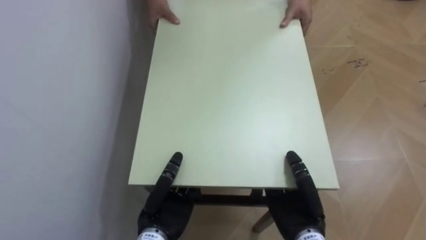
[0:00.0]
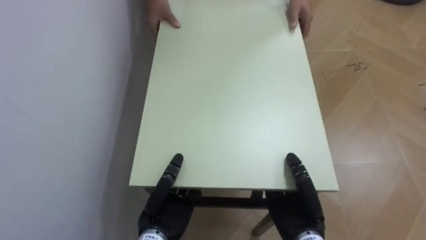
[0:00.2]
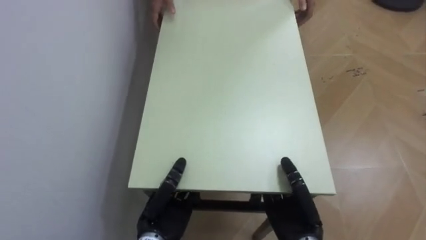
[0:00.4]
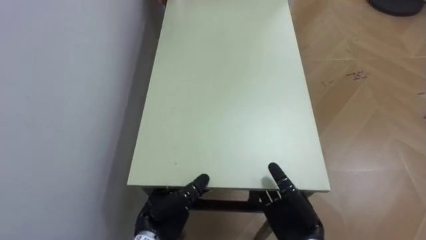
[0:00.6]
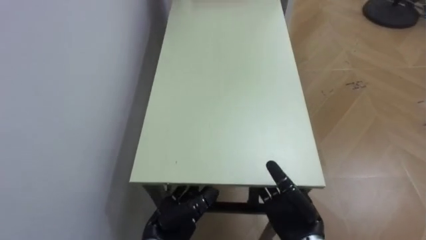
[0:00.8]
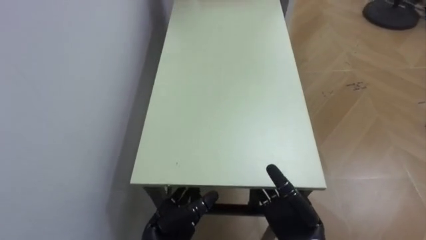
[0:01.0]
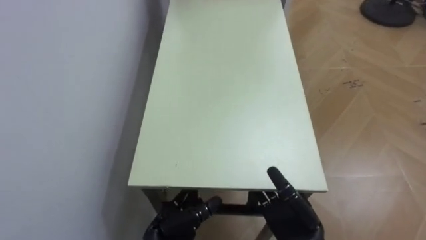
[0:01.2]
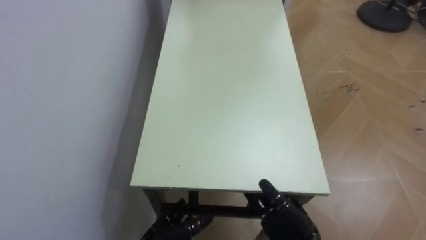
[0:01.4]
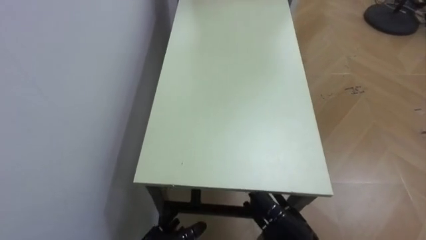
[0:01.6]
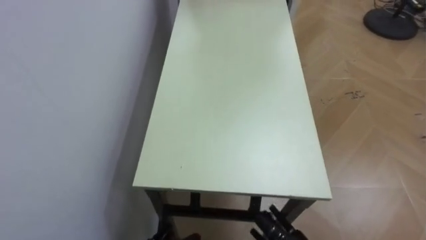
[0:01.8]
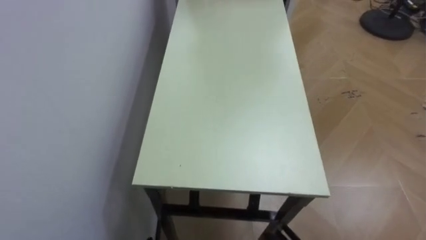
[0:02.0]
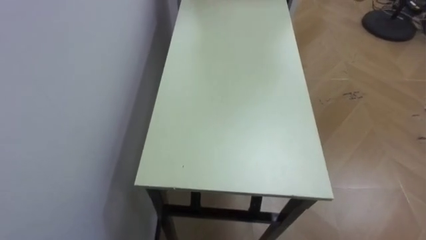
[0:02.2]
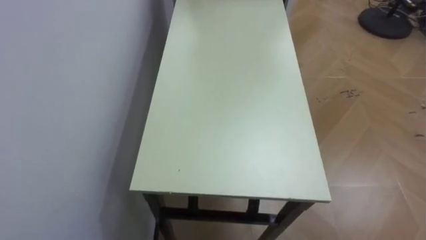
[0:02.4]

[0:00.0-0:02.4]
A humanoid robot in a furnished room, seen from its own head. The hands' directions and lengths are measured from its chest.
Task of the whole recording: Move the table to the back left with someone.
0:00.0 to 0:01.2: The left hand opens. Meanwhile the right hand opens up.

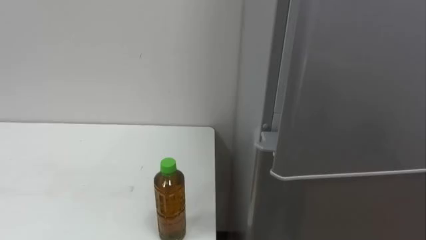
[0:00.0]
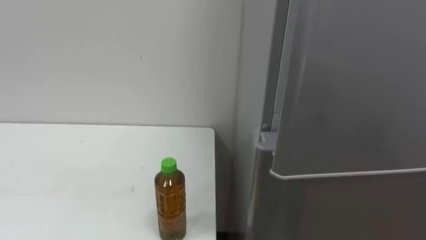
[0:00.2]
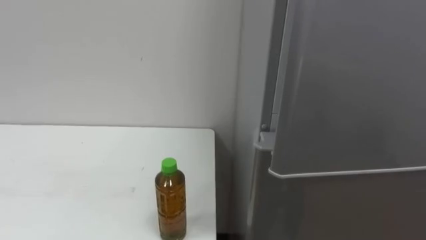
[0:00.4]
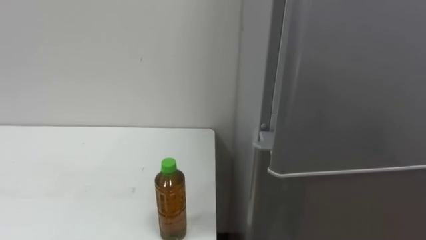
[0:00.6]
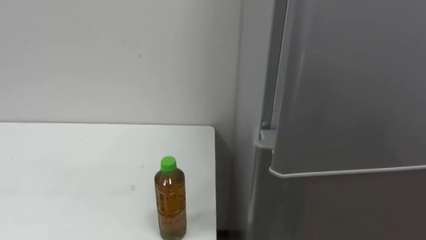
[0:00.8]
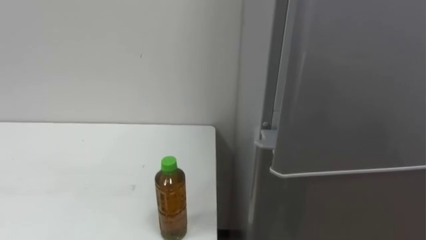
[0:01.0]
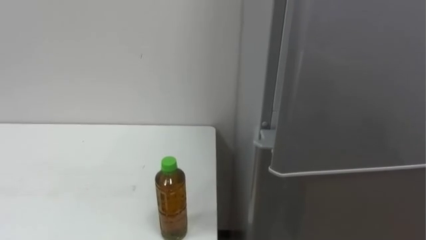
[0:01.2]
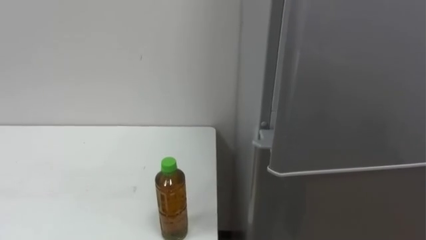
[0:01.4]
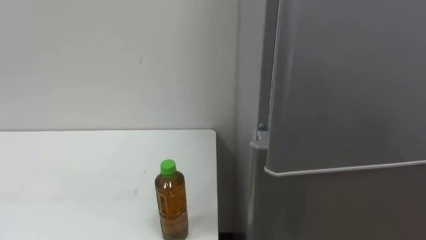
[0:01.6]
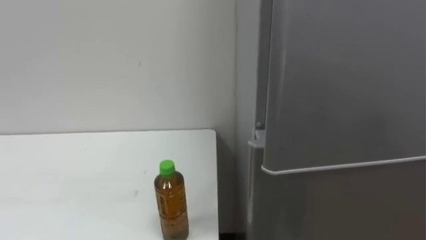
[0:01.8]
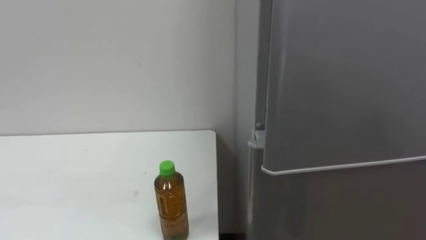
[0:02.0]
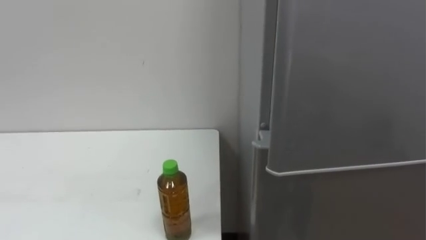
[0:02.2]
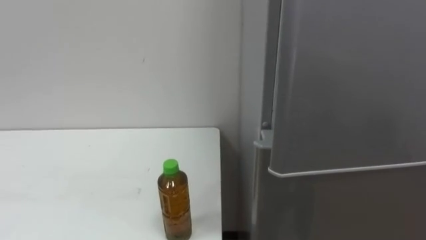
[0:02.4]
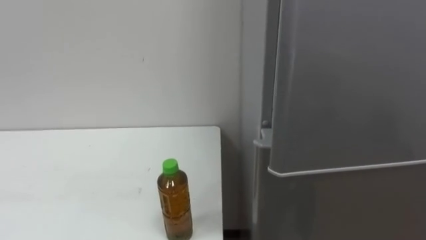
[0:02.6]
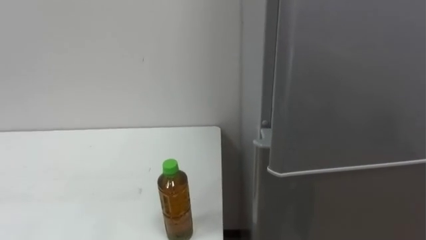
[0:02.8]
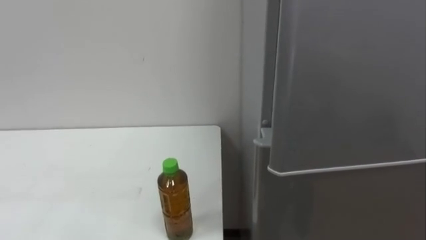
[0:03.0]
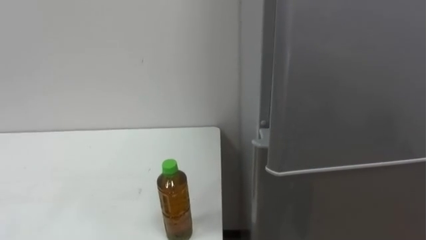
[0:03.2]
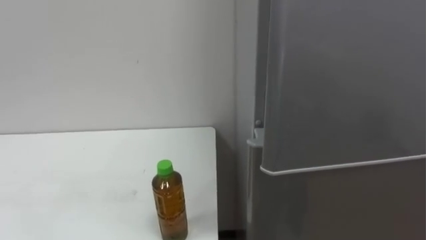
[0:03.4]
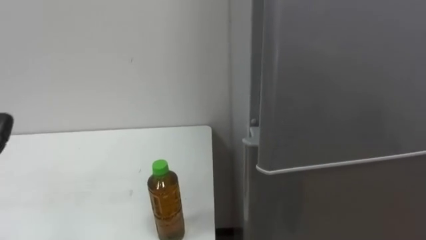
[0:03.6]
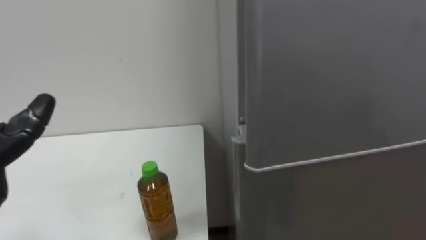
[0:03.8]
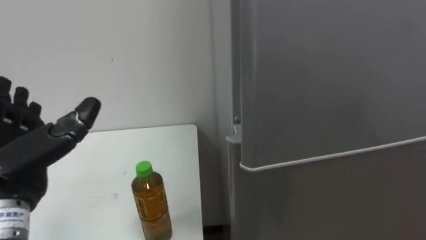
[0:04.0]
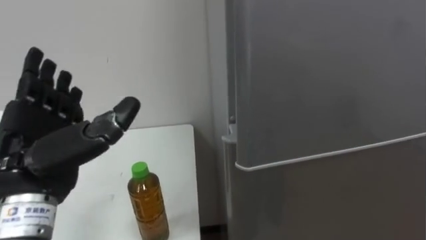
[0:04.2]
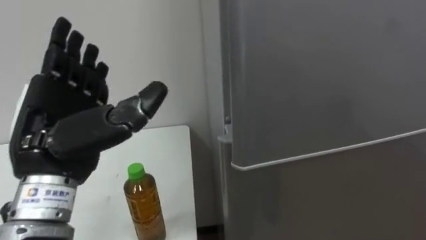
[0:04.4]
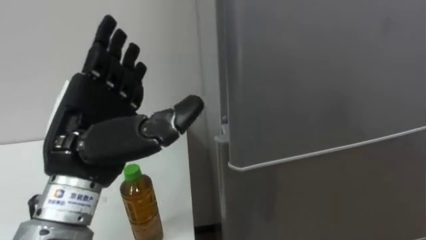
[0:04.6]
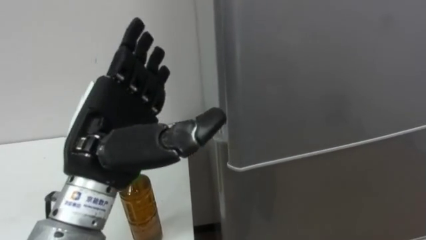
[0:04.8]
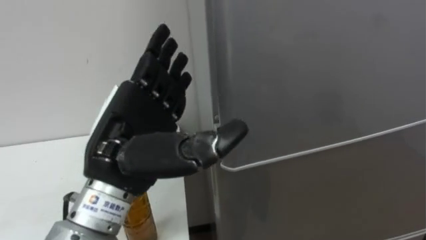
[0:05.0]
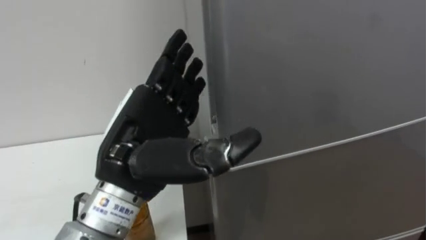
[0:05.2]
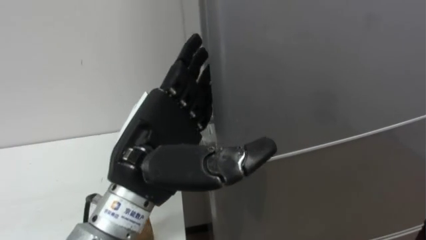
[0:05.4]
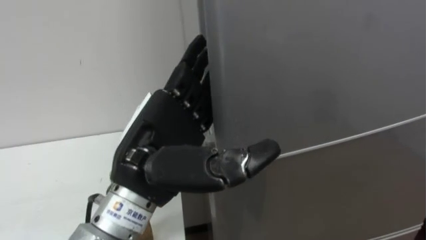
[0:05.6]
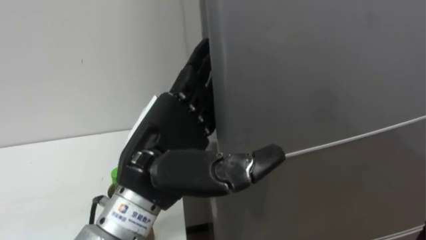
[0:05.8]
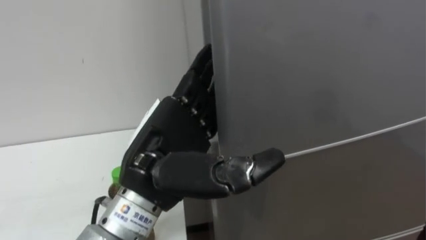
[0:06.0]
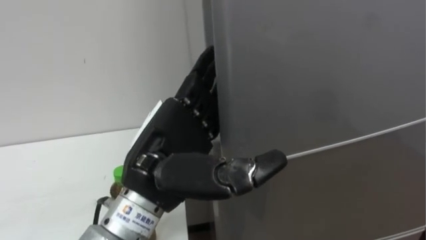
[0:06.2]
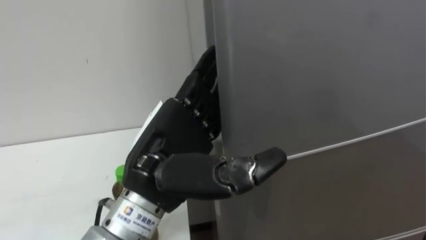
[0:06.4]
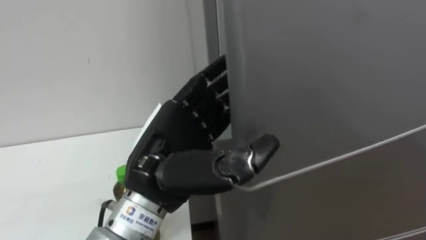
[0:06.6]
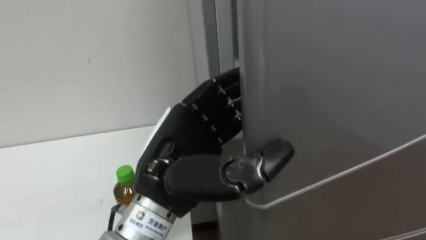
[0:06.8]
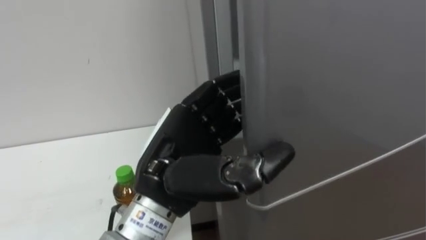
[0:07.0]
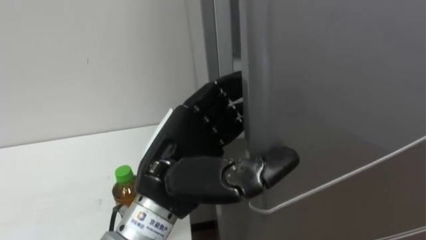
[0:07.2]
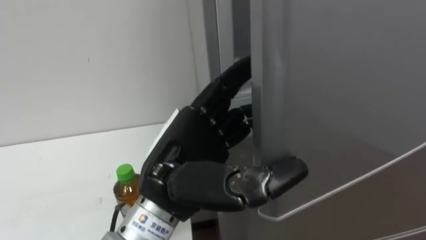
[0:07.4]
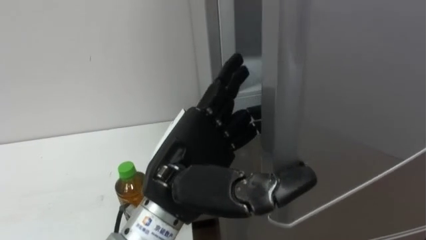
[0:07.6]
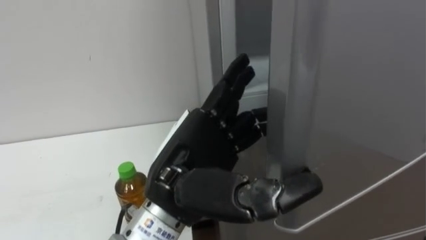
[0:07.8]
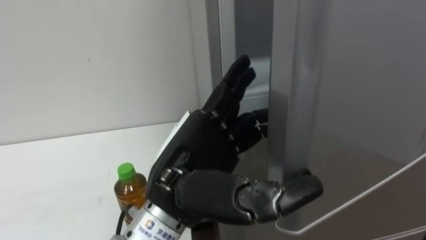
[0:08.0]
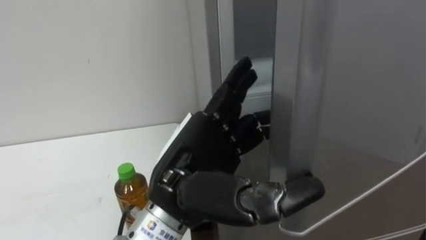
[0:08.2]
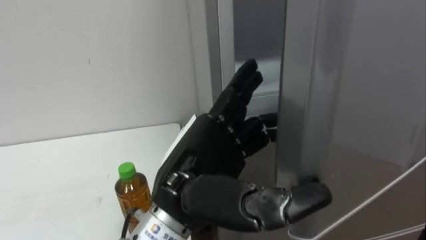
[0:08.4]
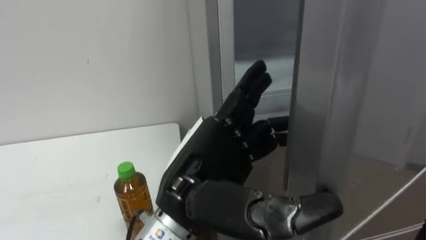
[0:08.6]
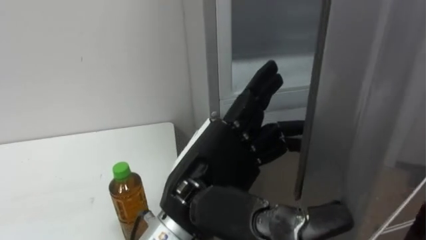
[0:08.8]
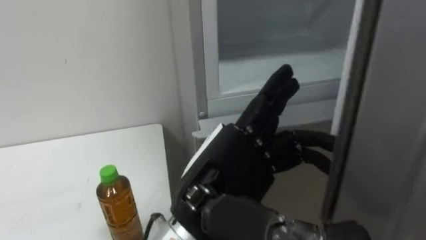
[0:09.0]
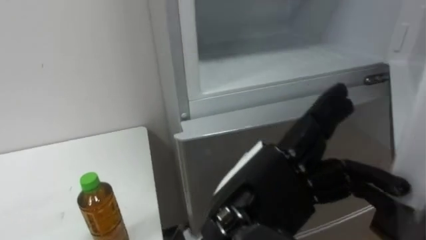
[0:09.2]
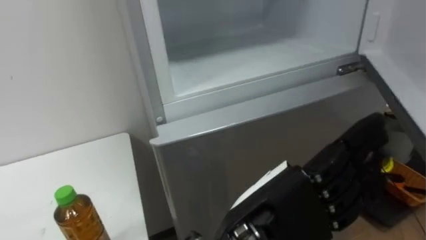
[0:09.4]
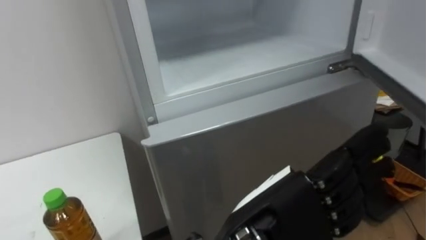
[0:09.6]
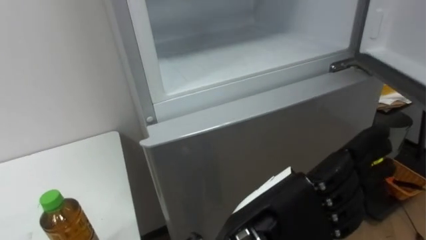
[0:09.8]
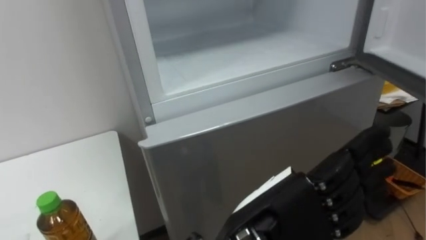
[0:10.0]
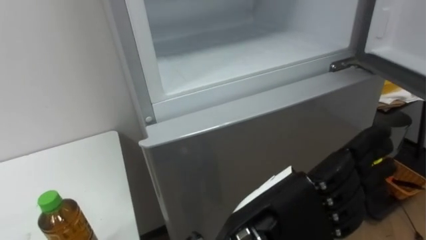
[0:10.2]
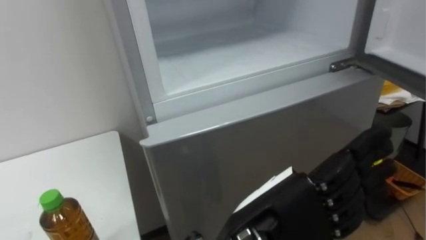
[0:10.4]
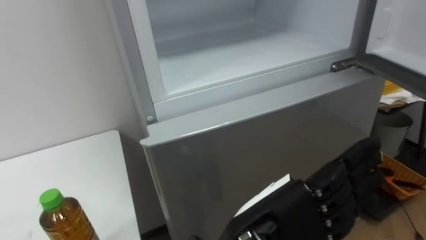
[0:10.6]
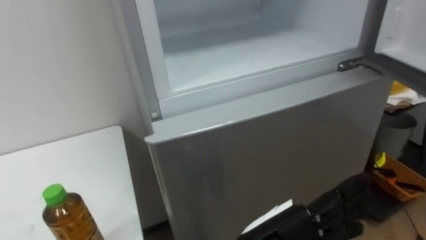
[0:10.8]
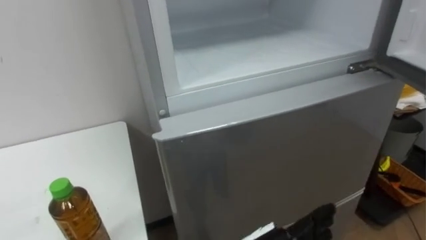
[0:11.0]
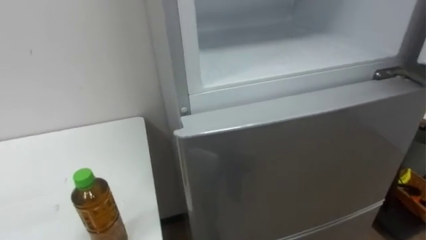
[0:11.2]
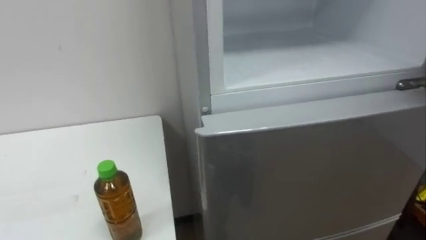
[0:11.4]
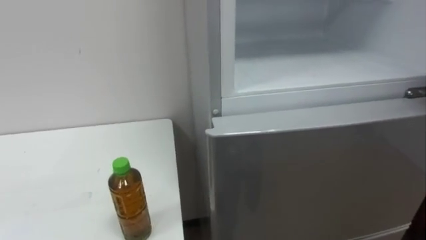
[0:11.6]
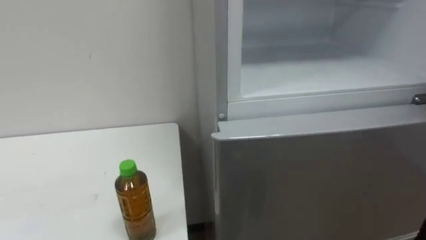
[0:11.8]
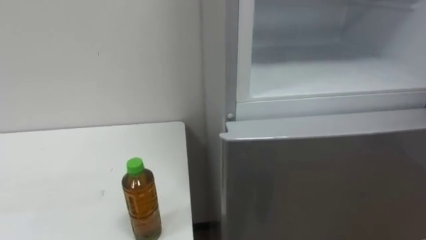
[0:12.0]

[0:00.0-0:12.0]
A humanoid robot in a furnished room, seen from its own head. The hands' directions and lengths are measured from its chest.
Task of the whole recording: Open the upper refrigerator door, put the drink from the table into the refrigerator, and then close the refrigerator door.
0:04.4 to 0:06.0: The left hand heads to the right, covering about 10 cm.
0:06.0 to 0:07.6: The left hand closes, then opens again.
0:09.0 to 0:10.4: The left hand ends up some 5 cm from where it was.

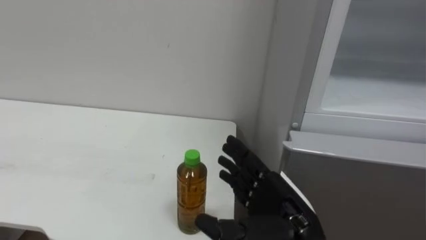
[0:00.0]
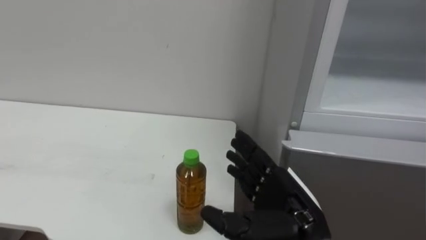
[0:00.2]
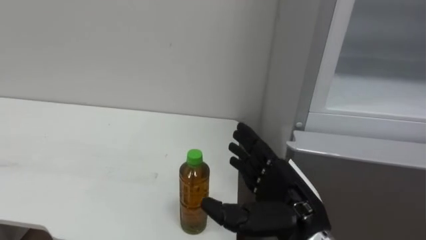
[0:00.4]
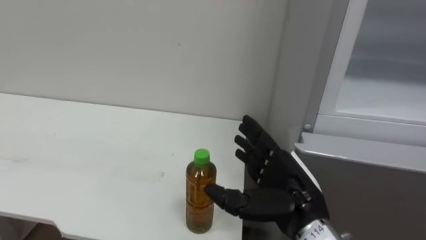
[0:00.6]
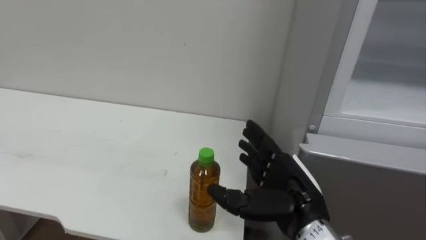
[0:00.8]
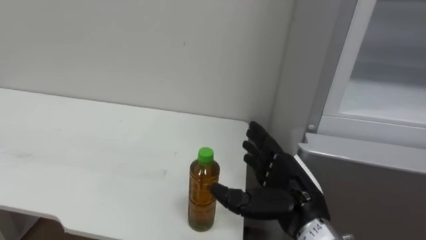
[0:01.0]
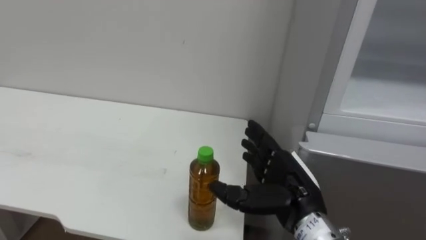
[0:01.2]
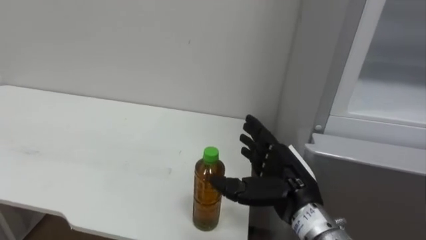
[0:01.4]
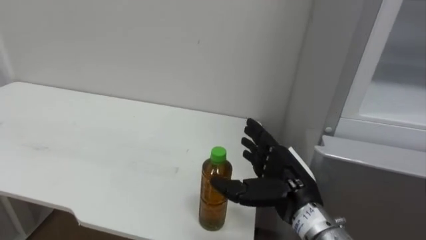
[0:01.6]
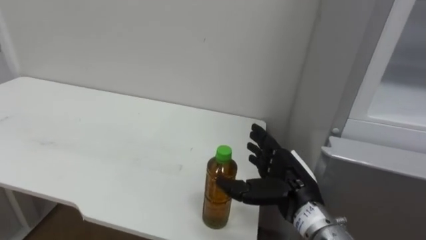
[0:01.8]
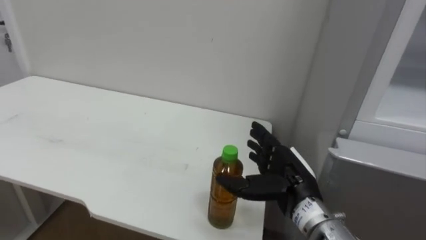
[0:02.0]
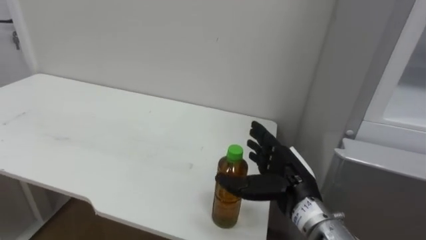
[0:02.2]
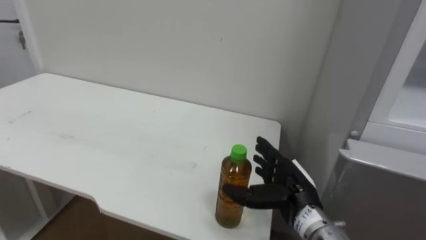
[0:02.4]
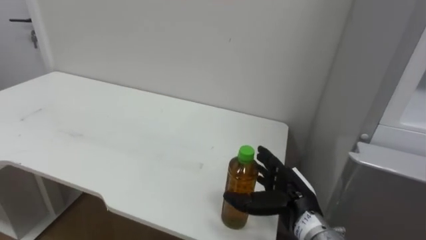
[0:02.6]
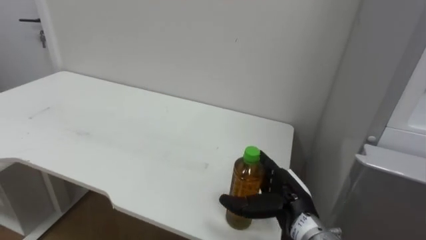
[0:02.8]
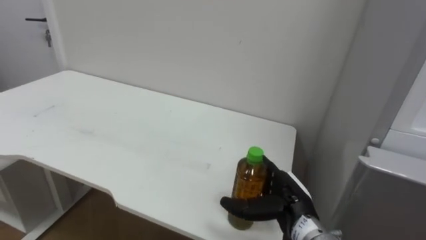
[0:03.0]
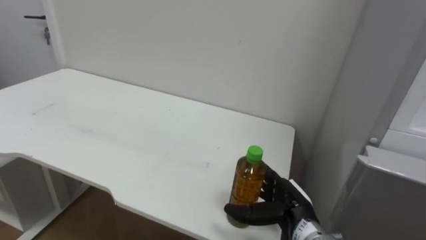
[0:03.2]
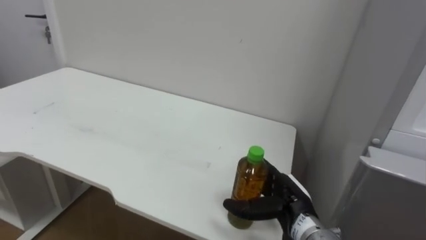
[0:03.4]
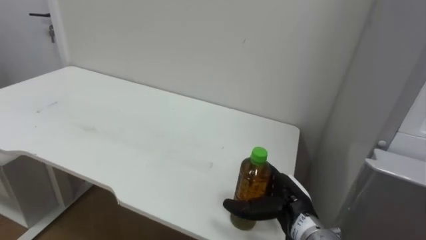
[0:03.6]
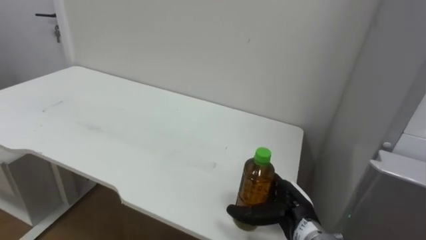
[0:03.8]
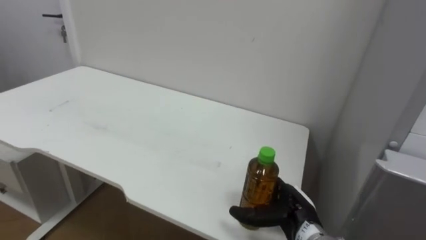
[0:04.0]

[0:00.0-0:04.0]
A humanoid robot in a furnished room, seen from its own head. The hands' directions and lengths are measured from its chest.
Task of the whole recording: Open the upper refrigerator door, put the drink from the table into the refrigerator, and then close the refrigerator door.
0:00.0 to 0:01.4: The right hand heads forward, covering some 5 cm.
0:01.4 to 0:02.6: The right hand travels downward by roughly 5 cm.
